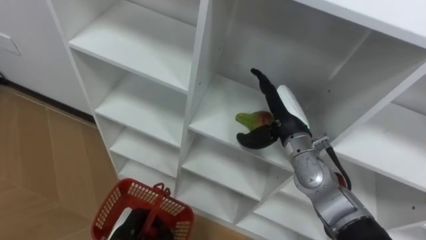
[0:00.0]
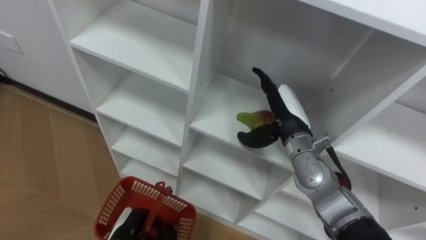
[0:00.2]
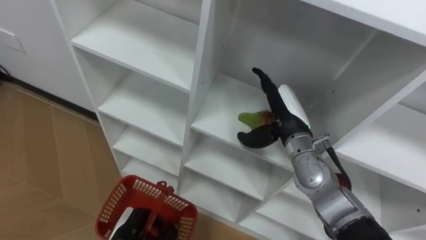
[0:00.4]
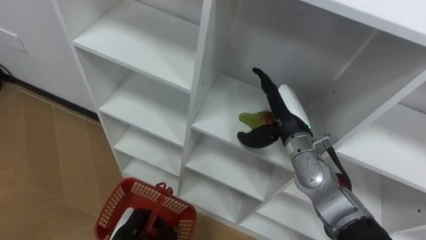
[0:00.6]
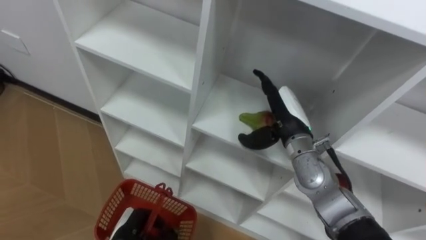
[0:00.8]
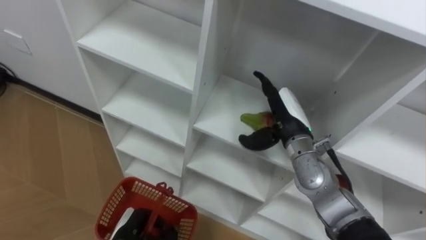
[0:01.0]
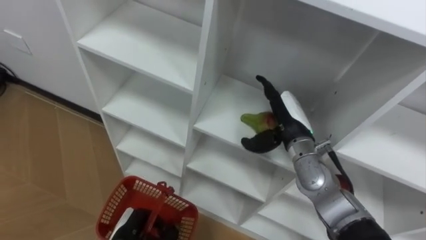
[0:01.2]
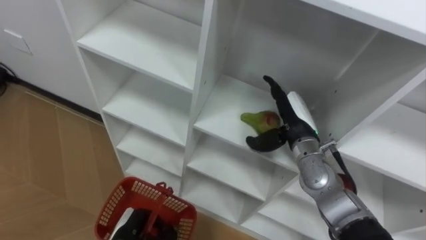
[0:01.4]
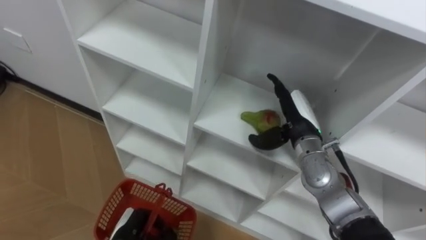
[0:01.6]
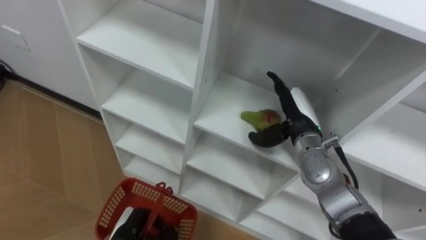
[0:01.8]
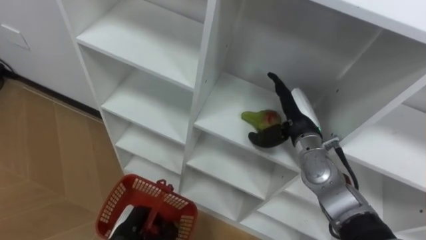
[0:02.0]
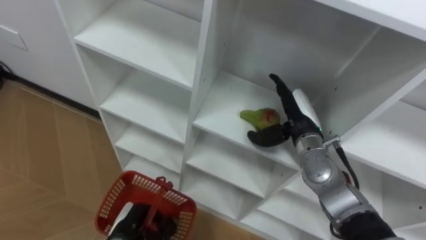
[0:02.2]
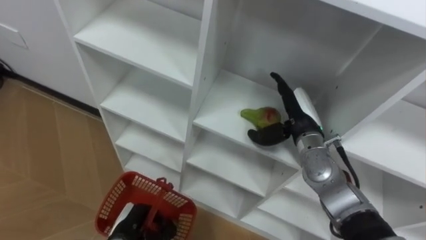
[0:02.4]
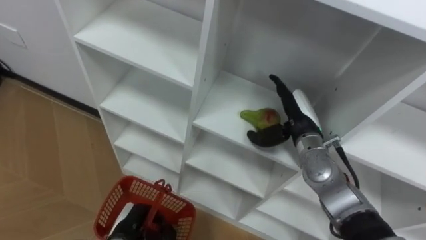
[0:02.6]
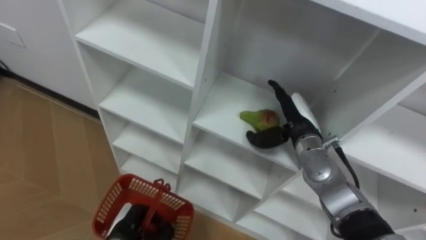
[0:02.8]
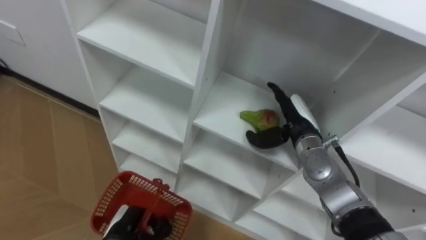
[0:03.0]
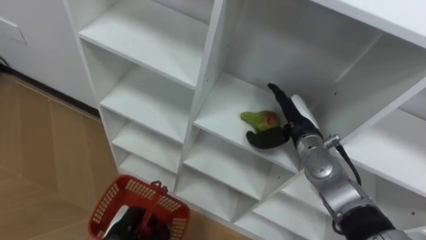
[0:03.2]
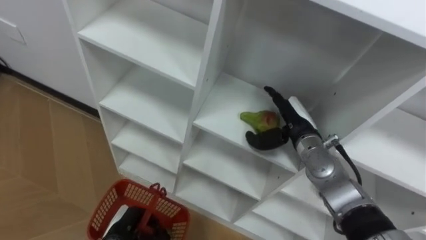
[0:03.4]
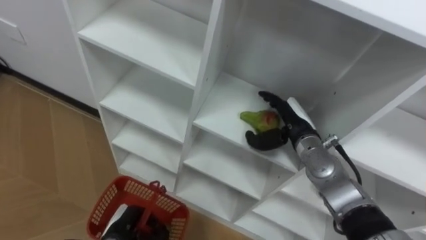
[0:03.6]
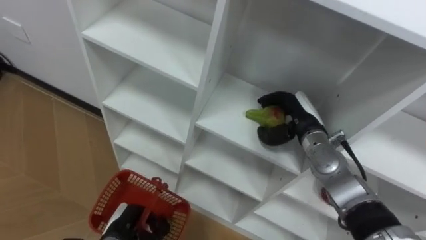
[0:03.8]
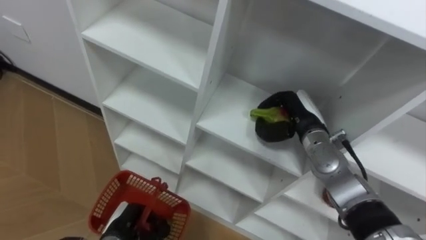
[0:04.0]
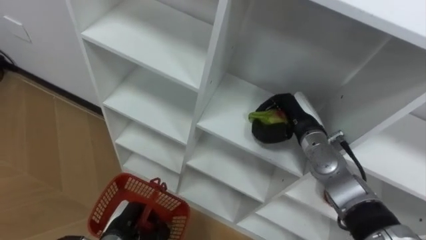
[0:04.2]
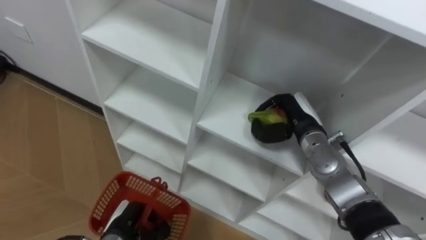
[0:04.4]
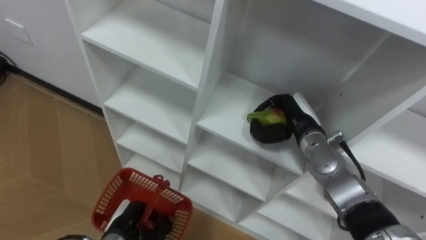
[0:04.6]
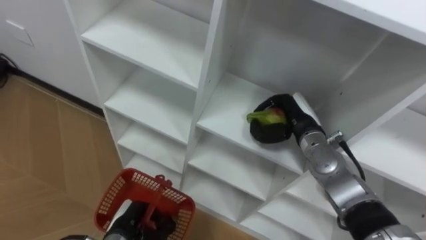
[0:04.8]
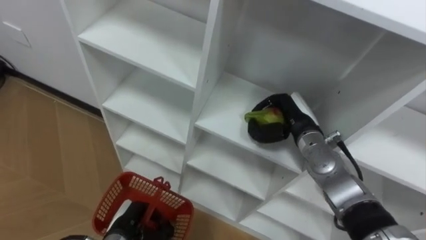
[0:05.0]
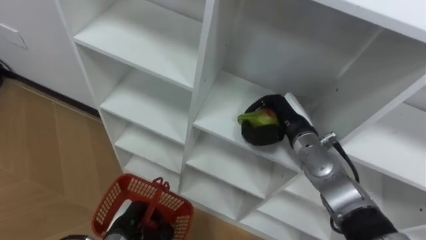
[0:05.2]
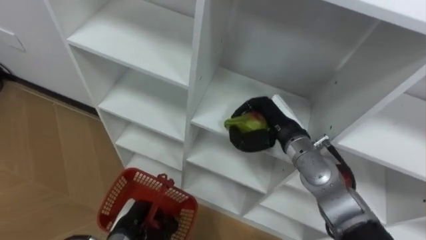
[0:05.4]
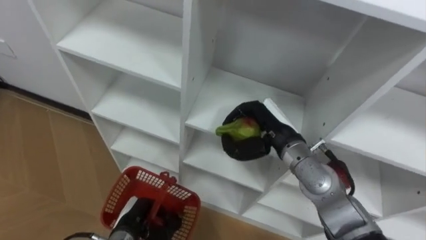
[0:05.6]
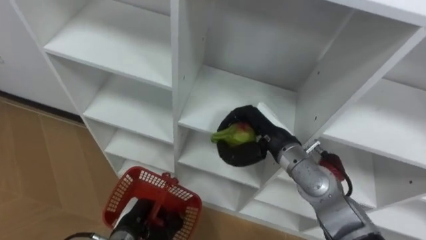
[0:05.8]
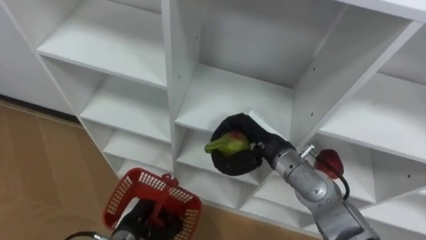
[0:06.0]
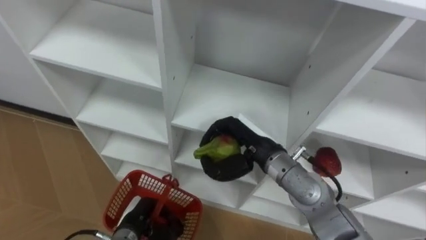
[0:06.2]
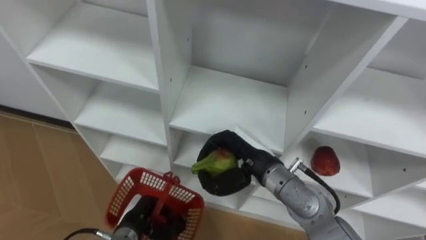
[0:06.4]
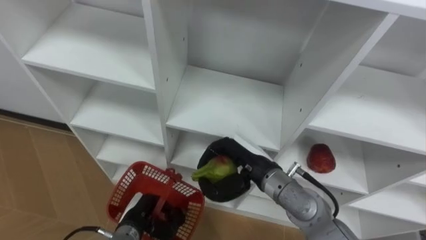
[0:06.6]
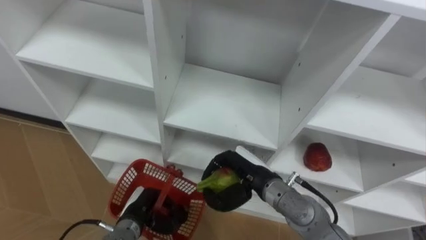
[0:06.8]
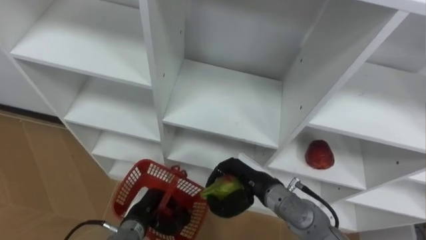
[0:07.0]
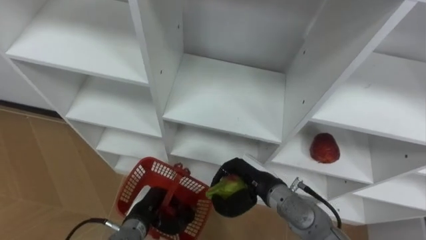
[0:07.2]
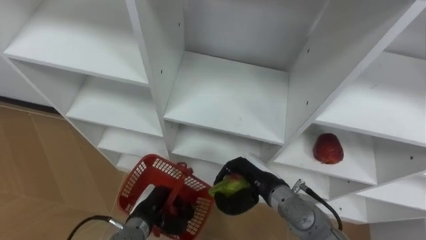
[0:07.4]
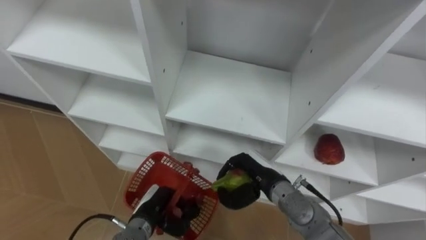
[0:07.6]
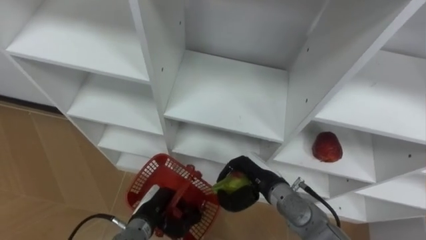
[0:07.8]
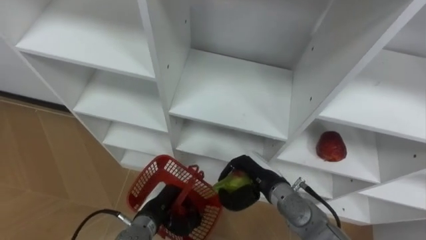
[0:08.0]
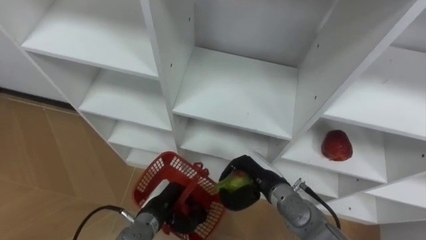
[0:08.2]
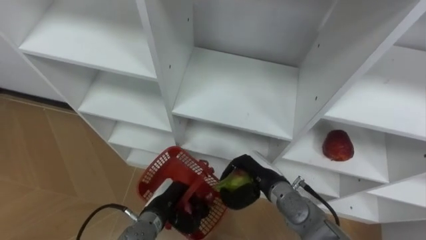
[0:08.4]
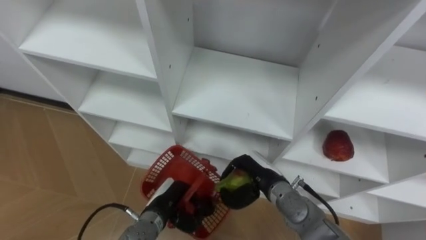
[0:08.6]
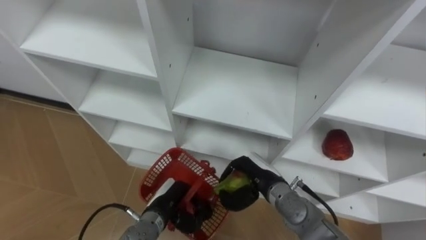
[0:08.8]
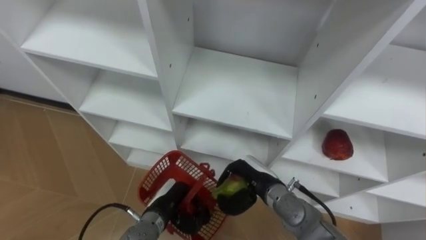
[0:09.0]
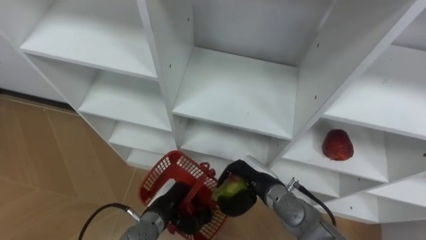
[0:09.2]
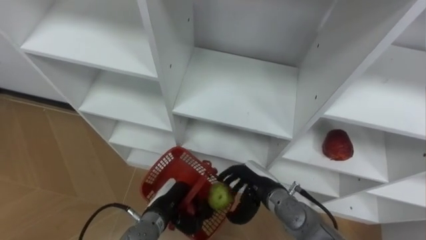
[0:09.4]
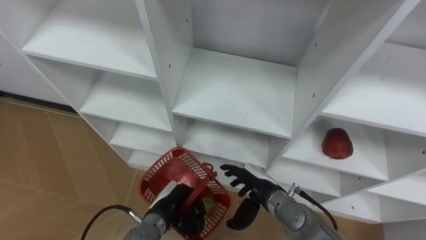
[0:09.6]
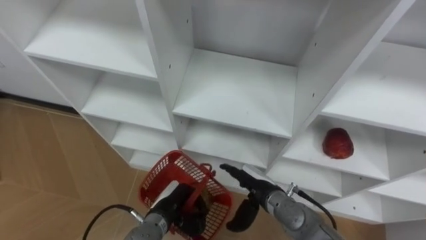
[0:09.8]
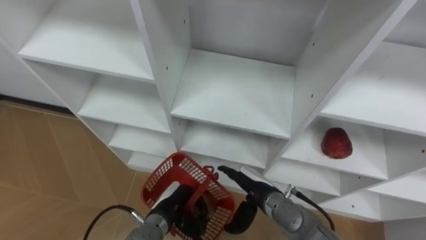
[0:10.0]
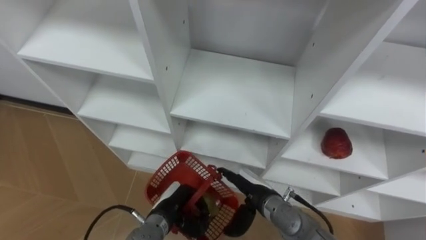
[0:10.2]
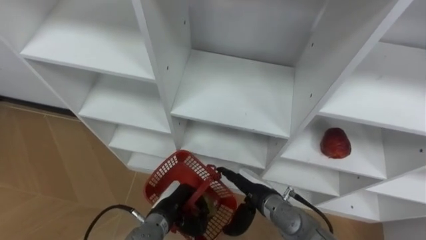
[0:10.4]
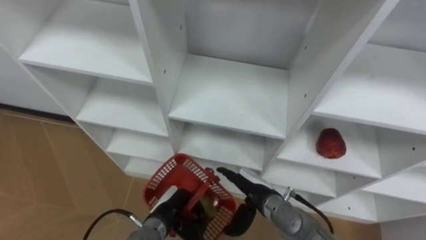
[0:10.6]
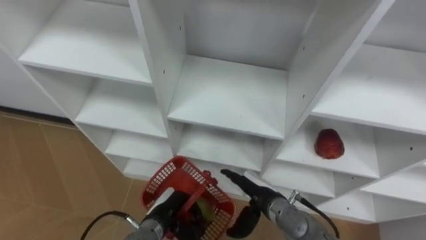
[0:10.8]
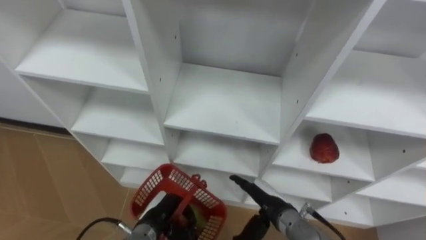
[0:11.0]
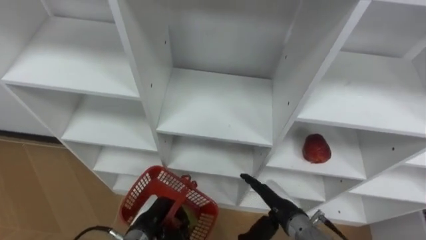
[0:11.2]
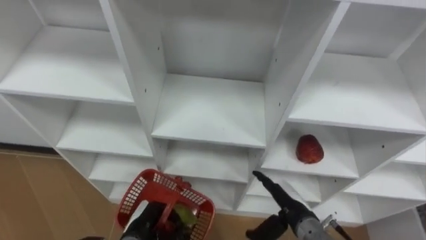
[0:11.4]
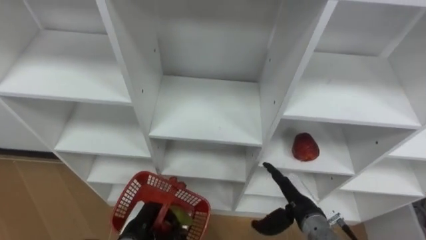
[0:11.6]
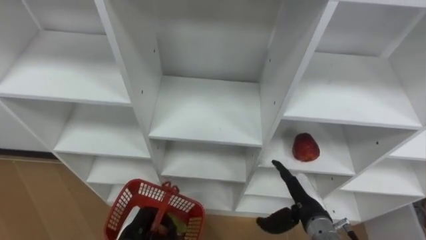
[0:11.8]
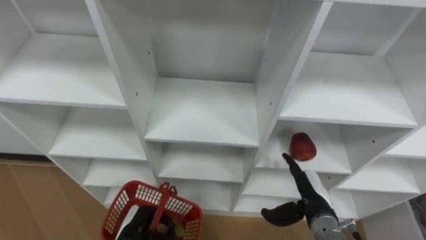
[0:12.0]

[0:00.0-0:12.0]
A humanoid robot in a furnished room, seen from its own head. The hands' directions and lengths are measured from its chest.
Task of the whole recording: Hold the basket and collect the fruits from 3 different cells of the closet into it.
0.0 to 3.0 s: The hands move only a little.
3.0 to 4.4 s: The right hand closes up.
4.4 to 6.0 s: The right hand travels to the left and backward by some 10 cm.
6.0 to 7.6 s: The right hand travels downward by about 10 cm.
9.0 to 10.4 s: The right hand opens up.
10.4 to 12.0 s: The right hand is displaced to the right by some 10 cm, while the left hand is displaced to the left and backward by roughly 10 cm.

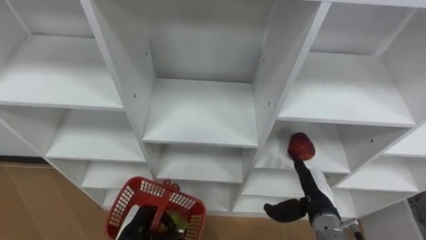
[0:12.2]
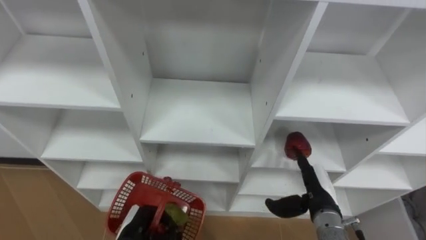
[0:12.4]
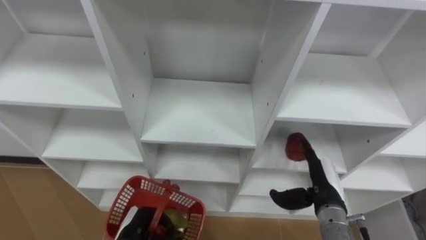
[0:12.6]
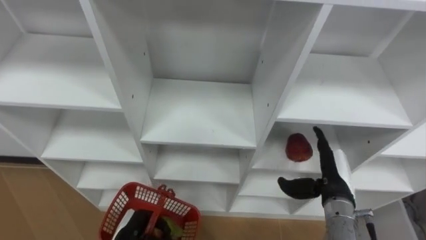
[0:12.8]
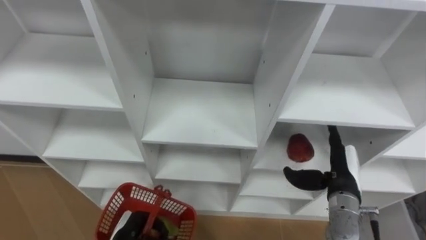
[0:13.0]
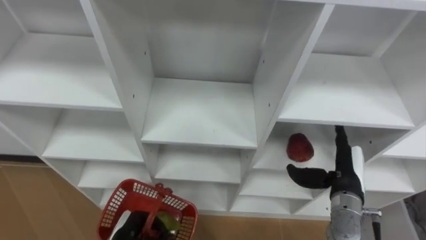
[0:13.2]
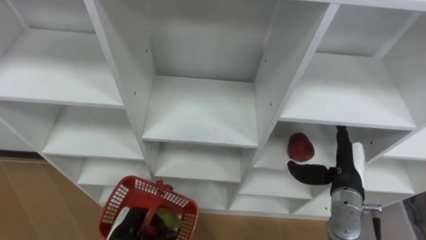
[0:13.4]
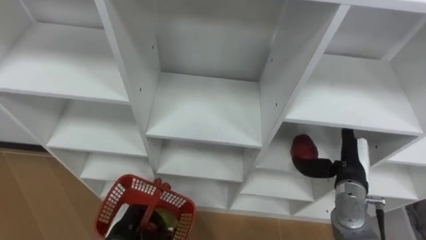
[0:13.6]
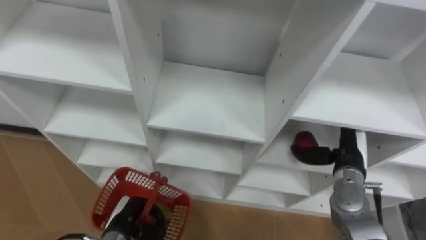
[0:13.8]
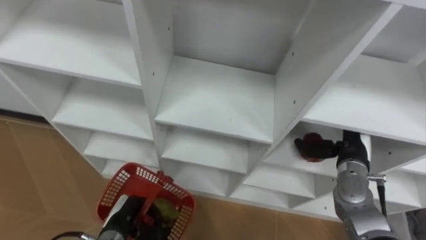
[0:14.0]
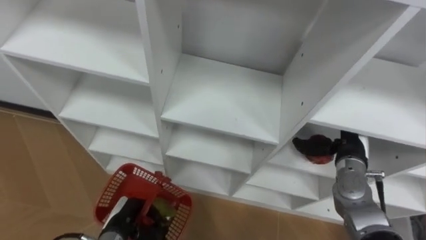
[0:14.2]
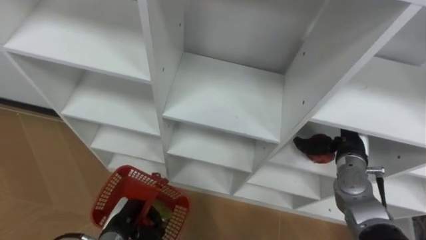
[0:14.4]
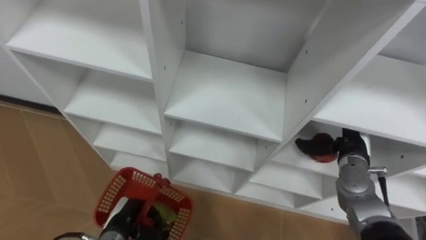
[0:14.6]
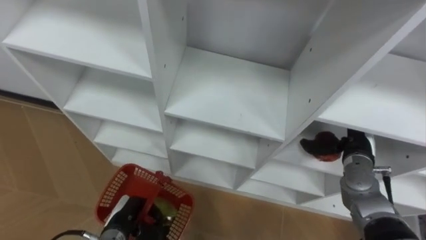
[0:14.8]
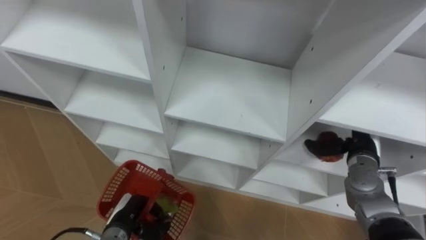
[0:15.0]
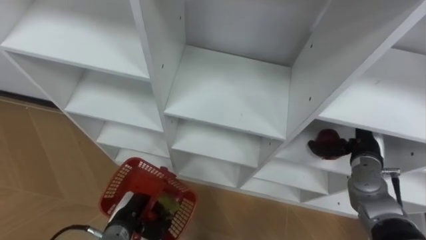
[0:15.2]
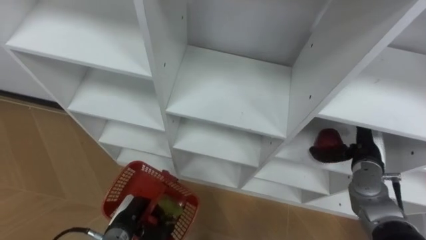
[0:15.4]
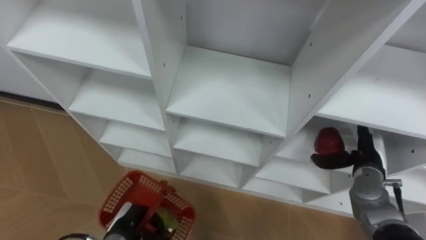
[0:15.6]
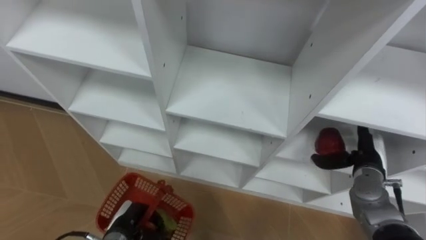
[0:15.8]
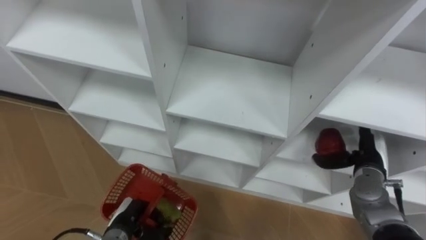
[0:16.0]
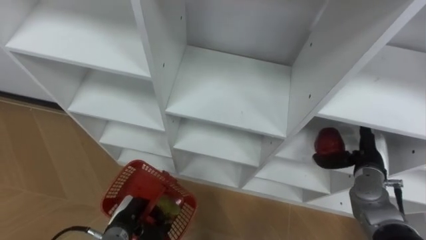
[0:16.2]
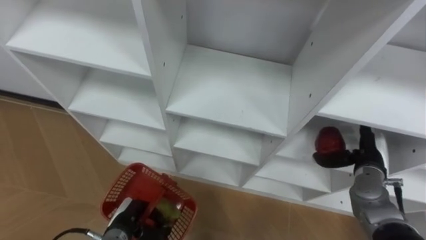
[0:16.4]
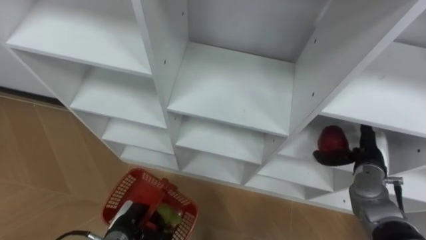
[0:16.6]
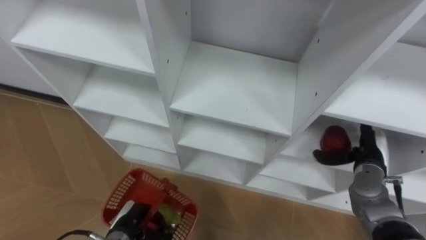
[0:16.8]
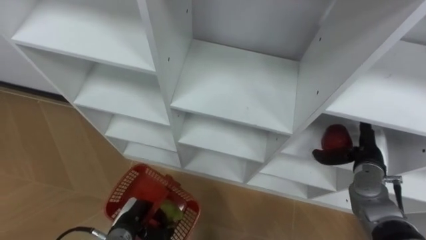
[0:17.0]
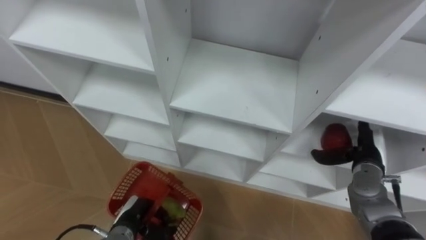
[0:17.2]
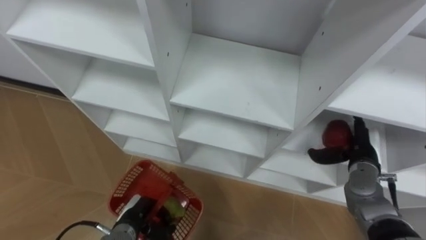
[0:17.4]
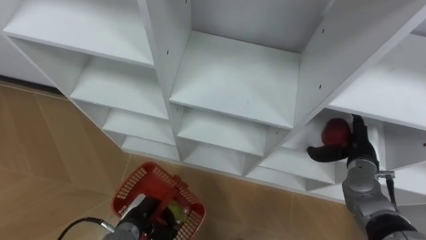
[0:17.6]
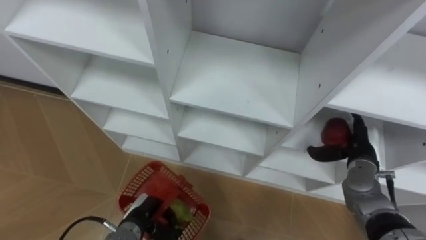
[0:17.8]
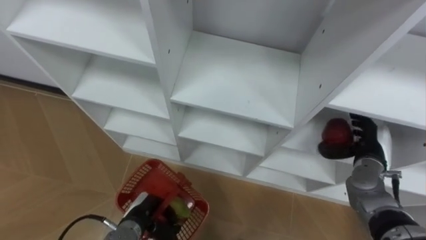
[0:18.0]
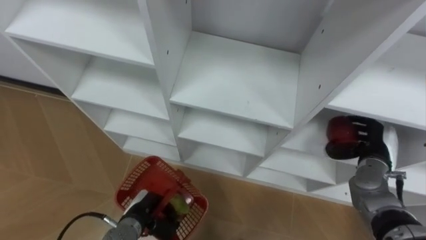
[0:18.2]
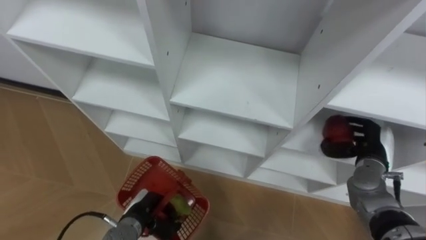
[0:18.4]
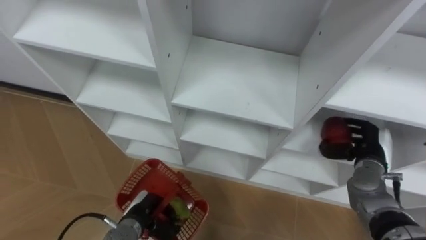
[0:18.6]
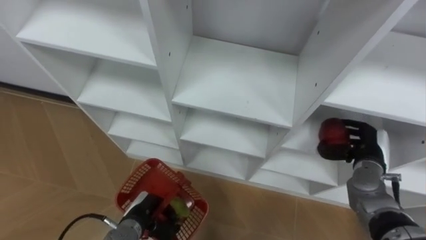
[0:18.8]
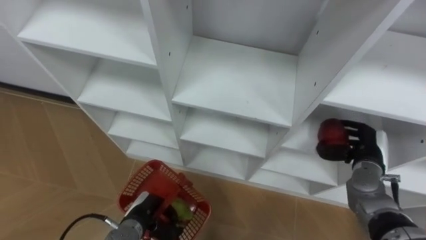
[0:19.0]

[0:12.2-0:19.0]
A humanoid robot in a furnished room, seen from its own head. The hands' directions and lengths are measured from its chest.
Task of the whole recording: Hold the basket and collect the fruits from 3 different cells of the closet into it.
12.2 to 13.6 s: The right hand shifts about 5 cm to the right.
13.6 to 15.0 s: The right hand changes place by some 5 cm.
15.0 to 16.2 s: The hands stay close to where they were, moving slightly.
17.6 to 19.0 s: The right hand closes its fingers.
